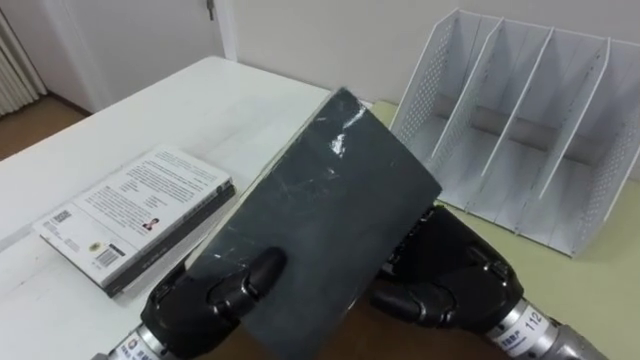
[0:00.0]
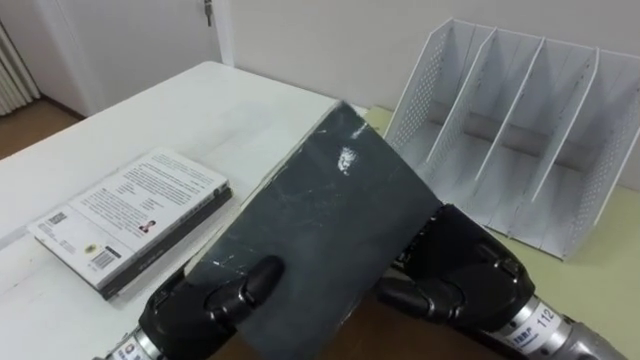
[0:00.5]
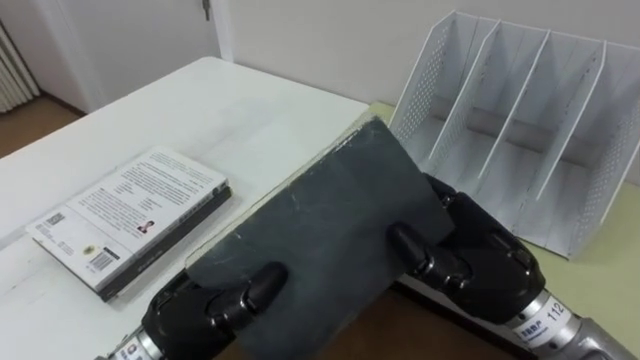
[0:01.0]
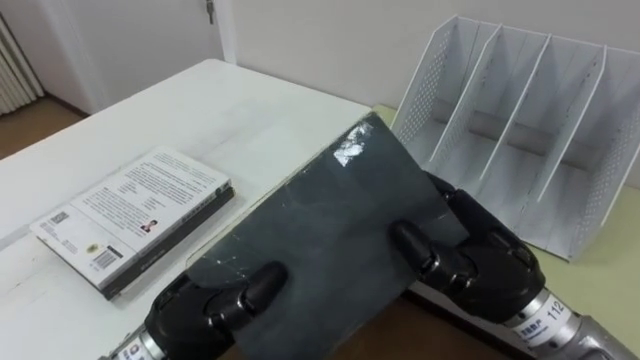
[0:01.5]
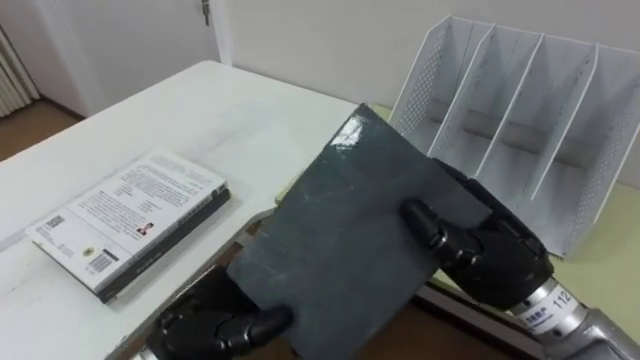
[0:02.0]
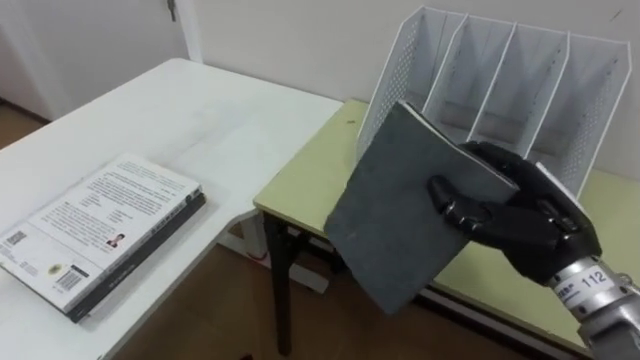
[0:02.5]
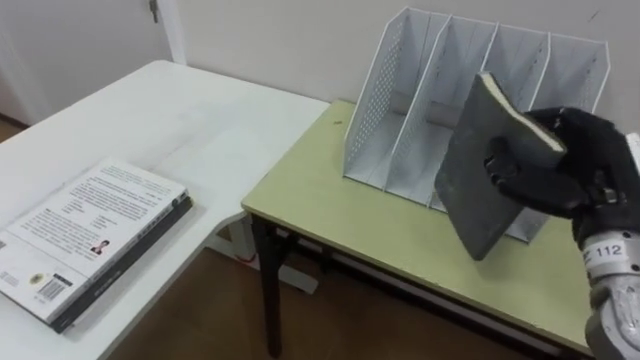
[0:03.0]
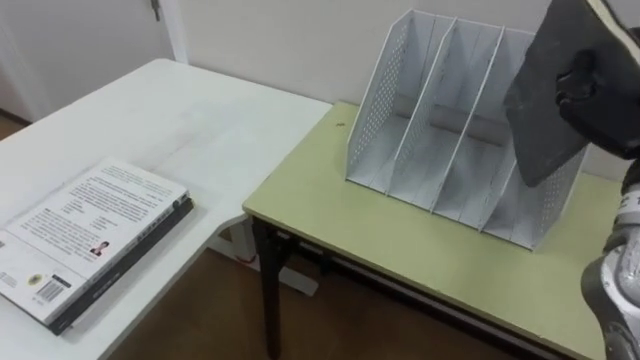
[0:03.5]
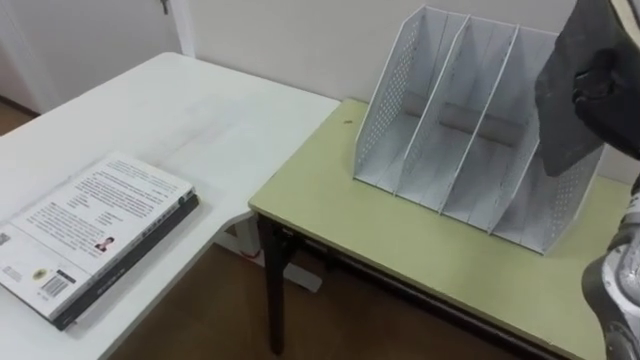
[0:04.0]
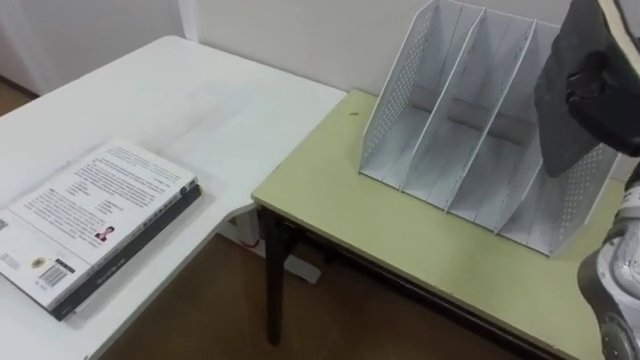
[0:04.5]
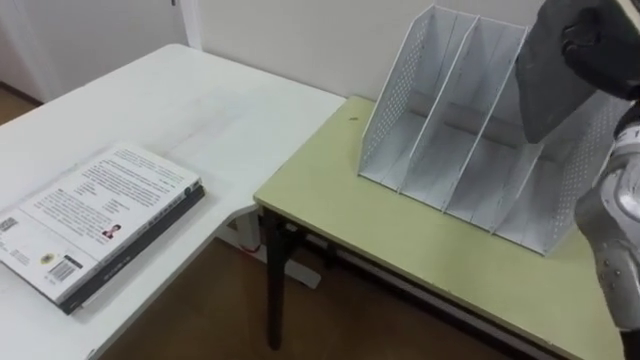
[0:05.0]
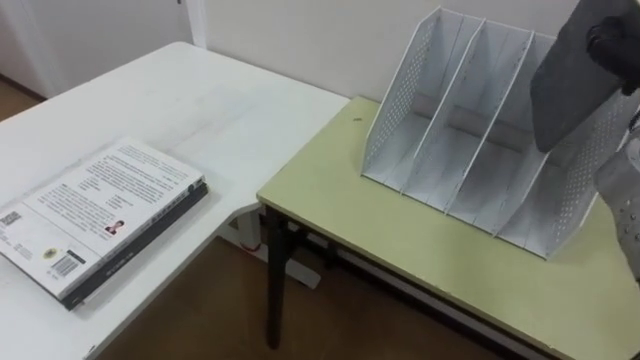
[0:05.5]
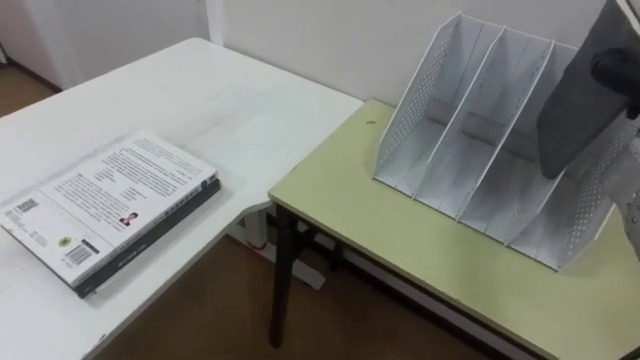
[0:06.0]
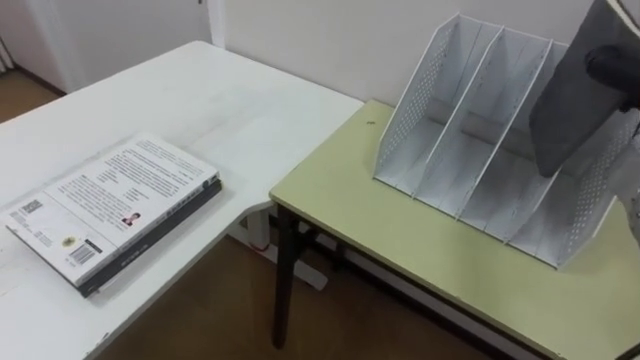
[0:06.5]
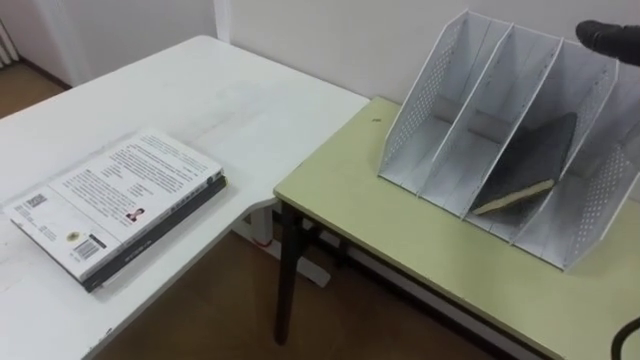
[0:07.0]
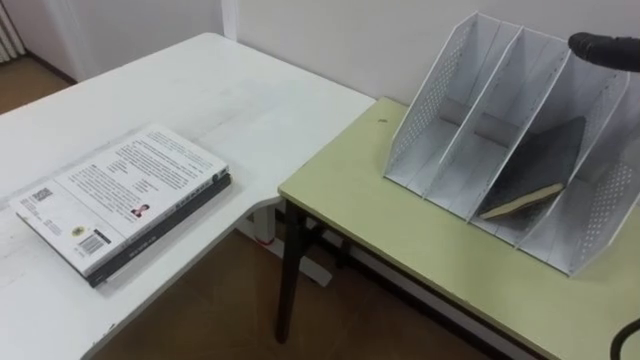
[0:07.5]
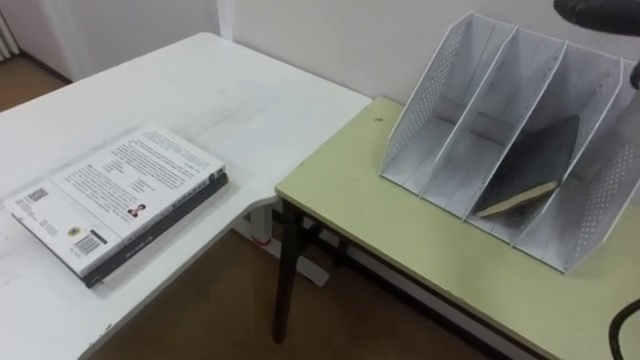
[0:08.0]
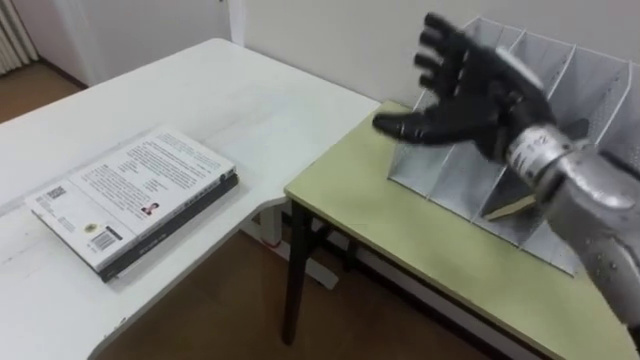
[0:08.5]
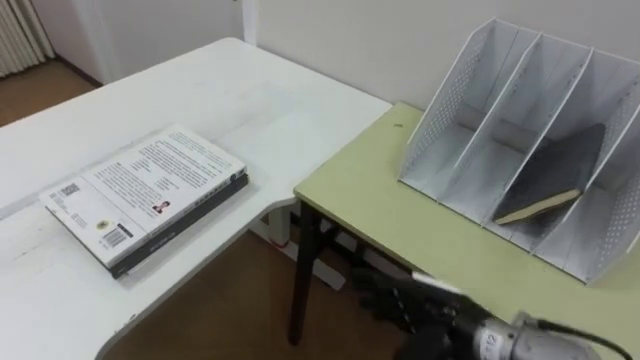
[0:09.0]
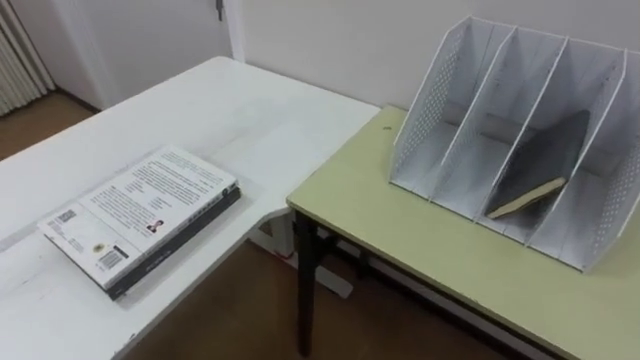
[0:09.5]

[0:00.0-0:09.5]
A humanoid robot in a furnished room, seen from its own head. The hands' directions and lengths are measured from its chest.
Task of the whole recording: Put the books on the table onto the bookshelf.
0:00.0 to 0:02.0: The right hand closes.

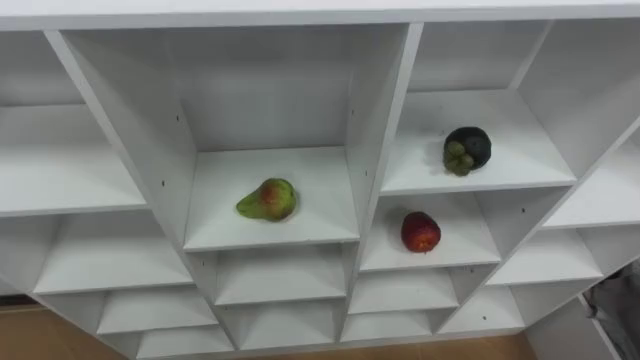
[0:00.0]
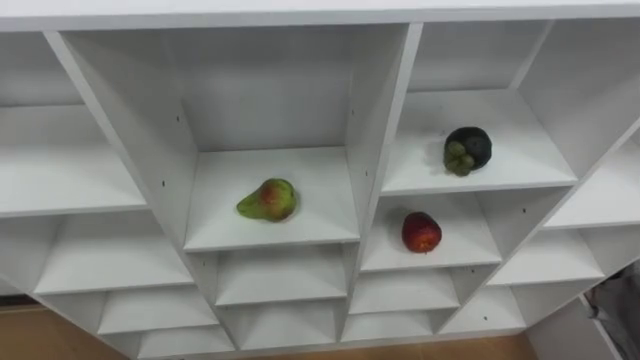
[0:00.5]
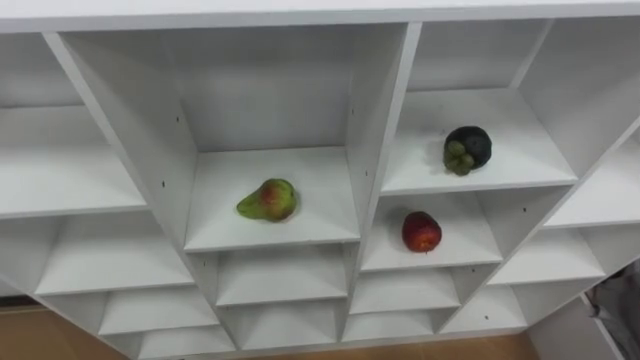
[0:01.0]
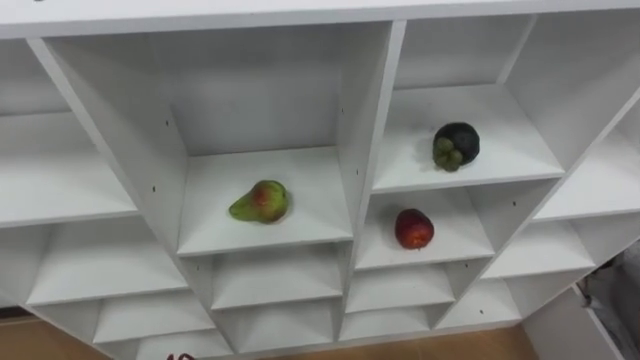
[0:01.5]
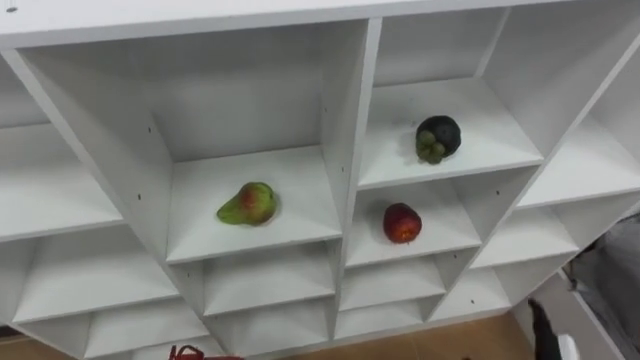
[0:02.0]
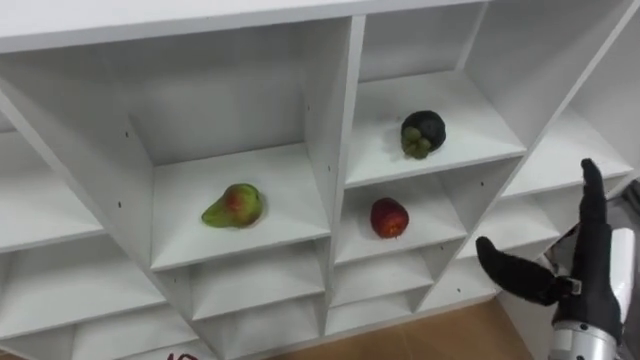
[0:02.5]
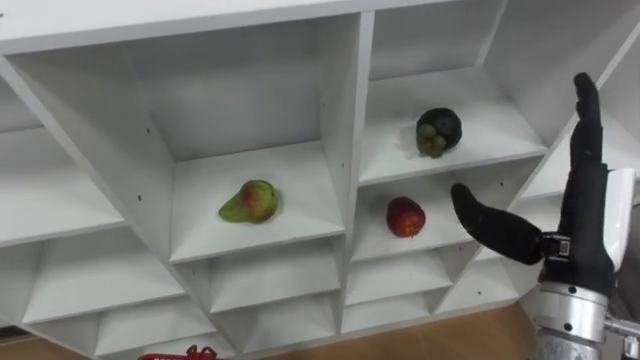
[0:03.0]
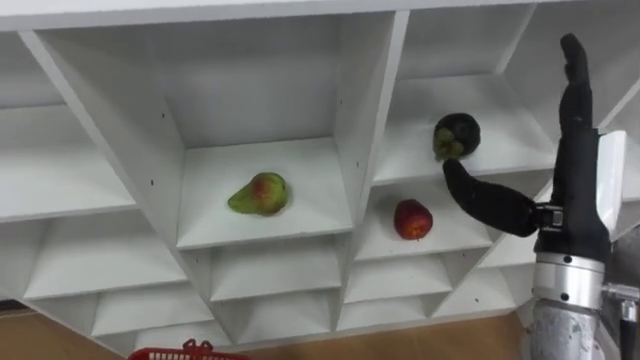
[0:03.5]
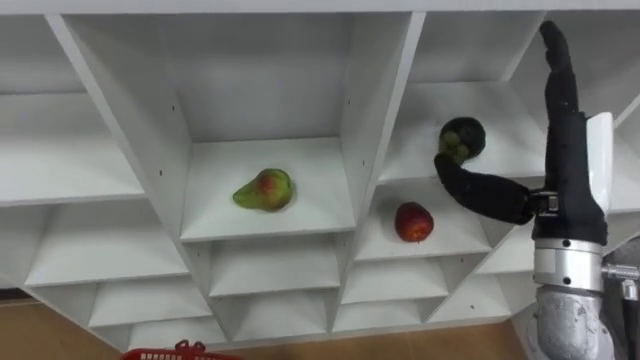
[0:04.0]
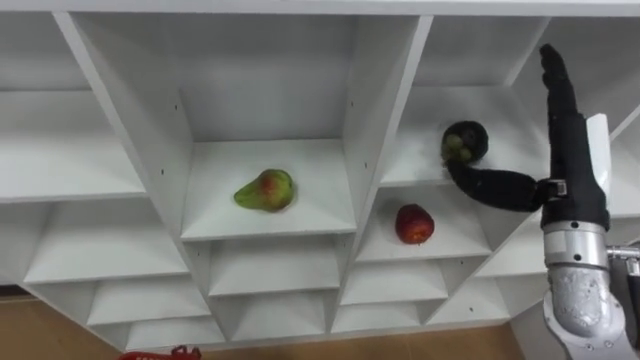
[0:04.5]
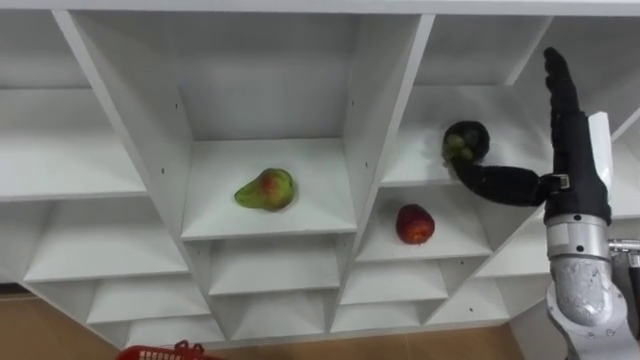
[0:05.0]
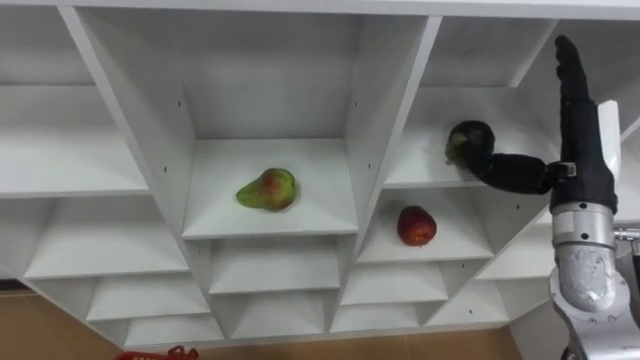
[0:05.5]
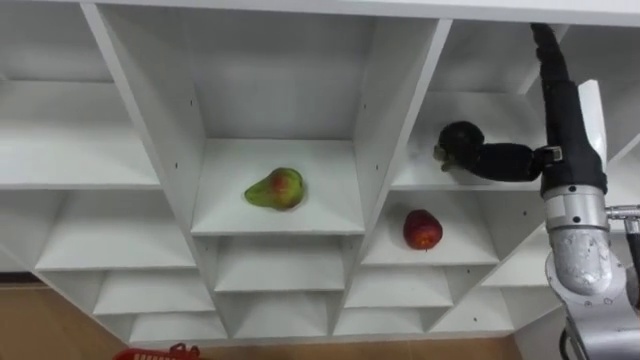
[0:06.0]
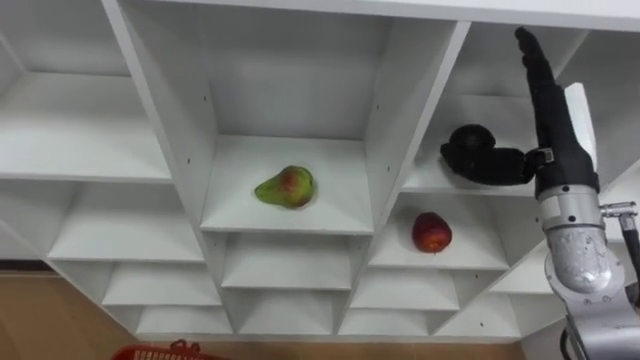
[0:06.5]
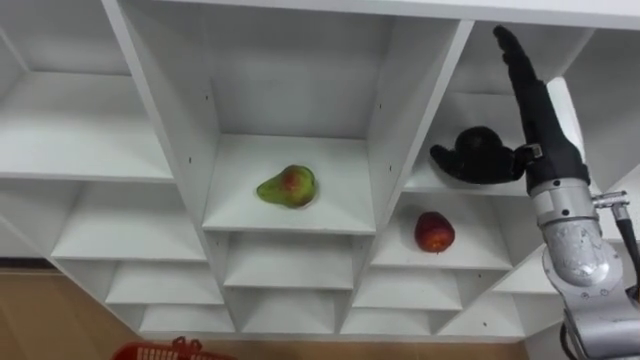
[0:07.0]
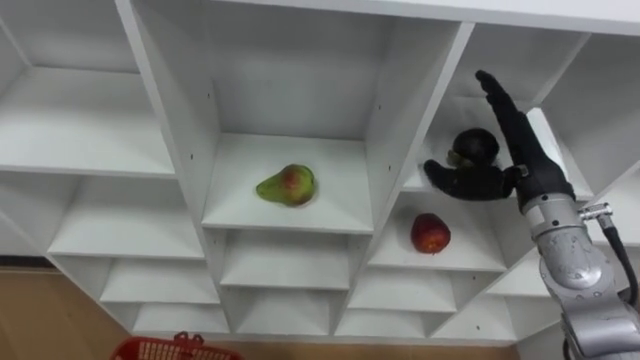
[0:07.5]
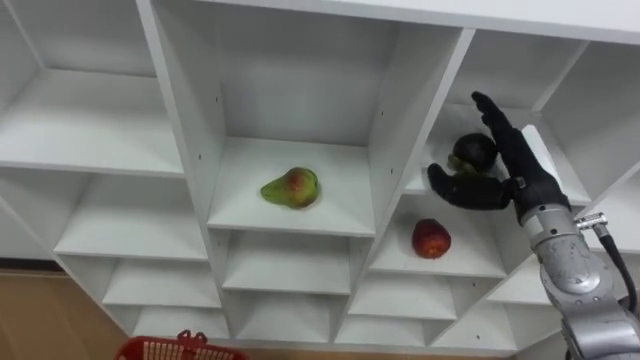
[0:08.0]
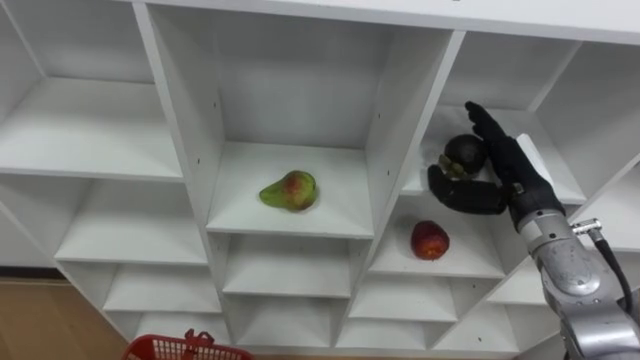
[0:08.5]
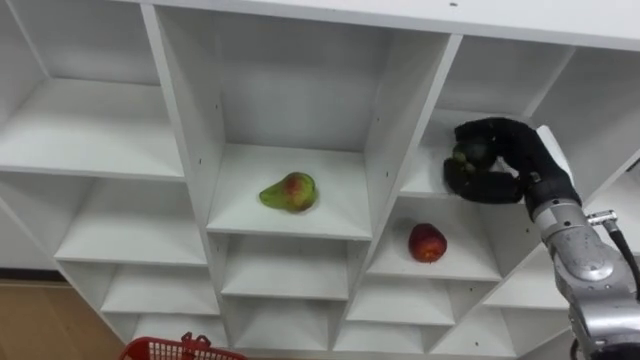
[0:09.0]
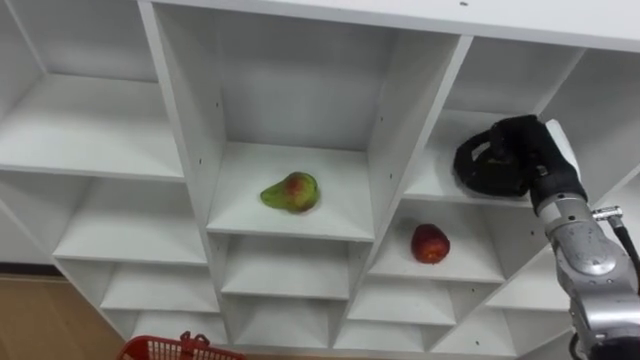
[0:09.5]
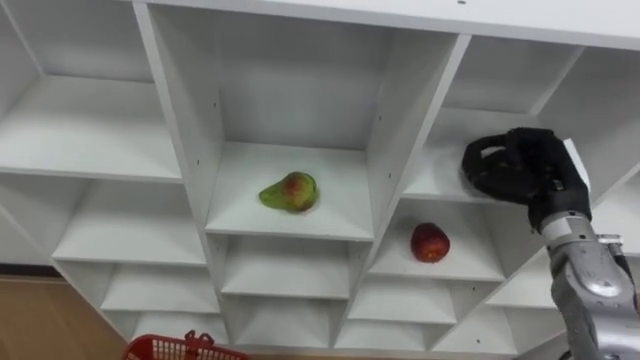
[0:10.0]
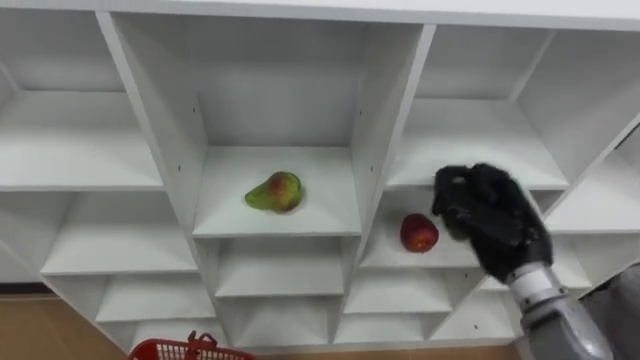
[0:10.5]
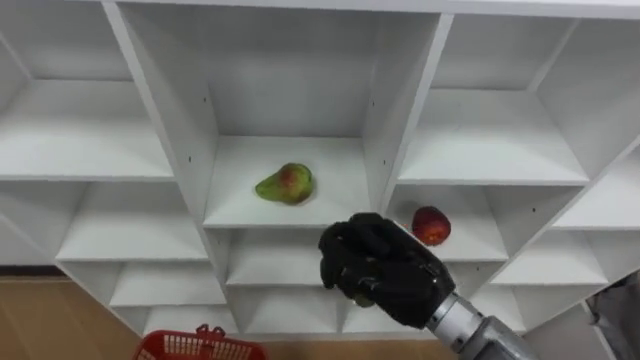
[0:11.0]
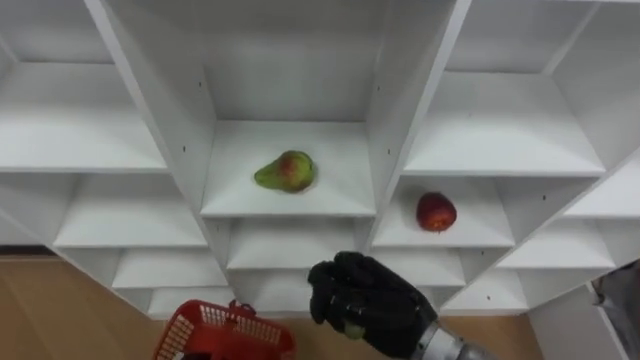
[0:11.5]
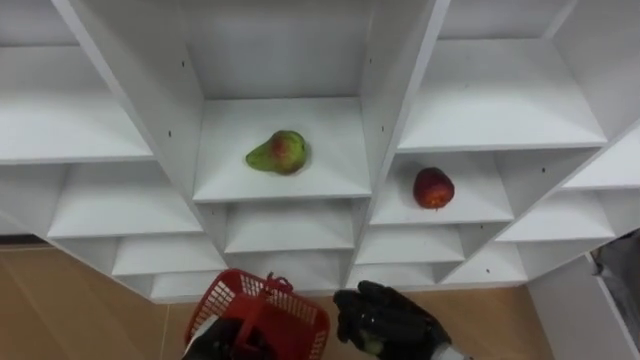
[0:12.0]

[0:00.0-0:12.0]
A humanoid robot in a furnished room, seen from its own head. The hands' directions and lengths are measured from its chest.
Task of the whole recording: Hold the basket and collect the fruits from 3 different cells of the closet into it.
0:04.0 to 0:06.0: The right hand travels forward by roughly 5 cm.
0:06.0 to 0:08.0: The right hand goes some 5 cm downward.
0:08.0 to 0:10.0: The right hand closes.
0:10.0 to 0:12.0: The right hand is displaced to the left, backward and downward by approximately 25 cm.
